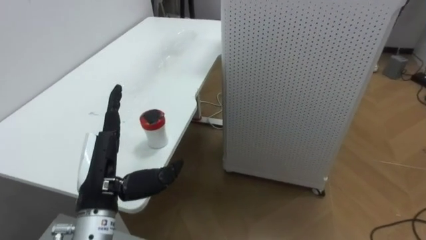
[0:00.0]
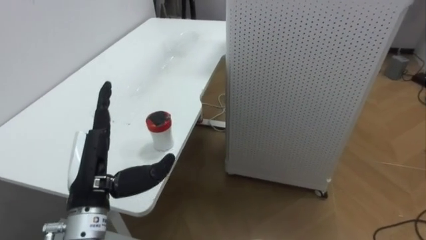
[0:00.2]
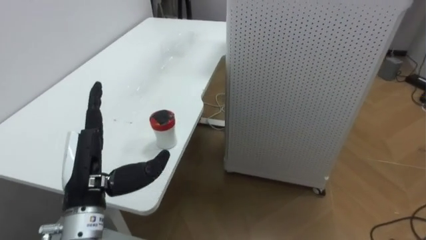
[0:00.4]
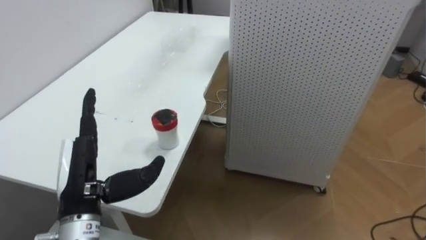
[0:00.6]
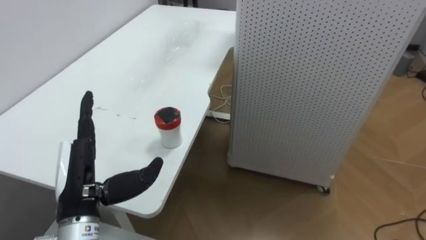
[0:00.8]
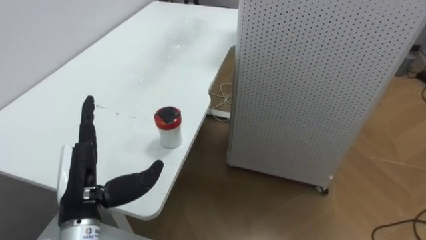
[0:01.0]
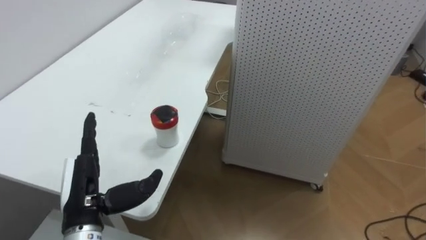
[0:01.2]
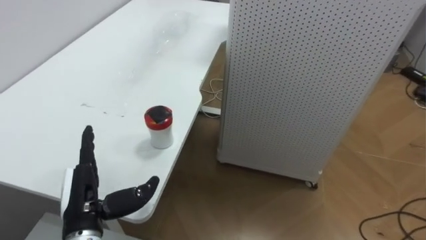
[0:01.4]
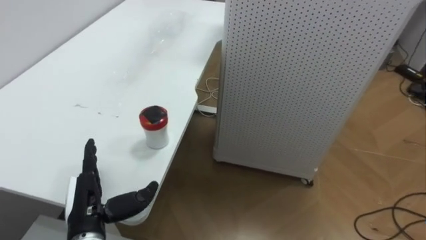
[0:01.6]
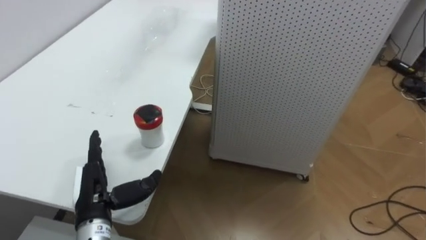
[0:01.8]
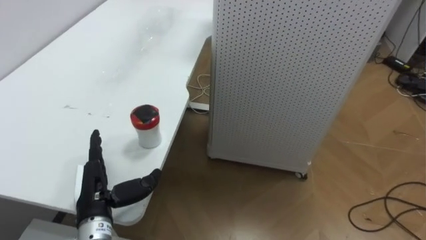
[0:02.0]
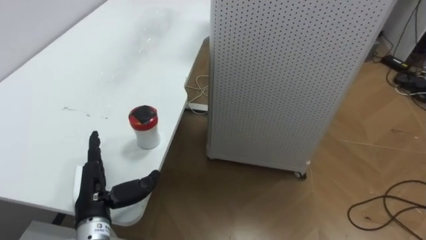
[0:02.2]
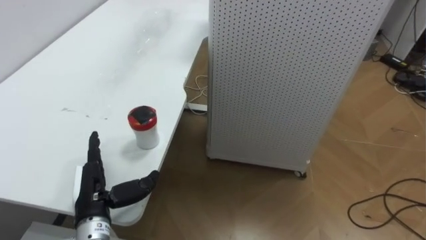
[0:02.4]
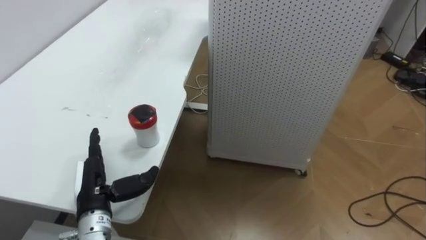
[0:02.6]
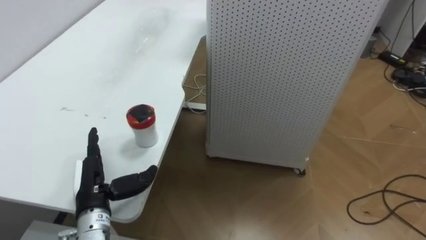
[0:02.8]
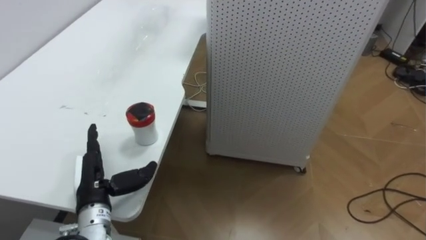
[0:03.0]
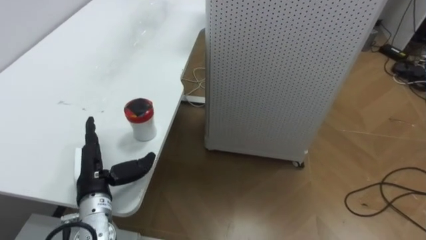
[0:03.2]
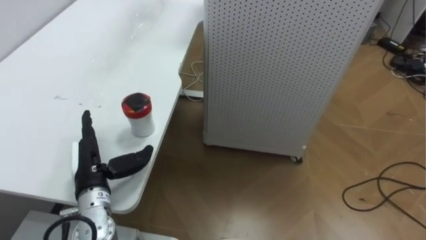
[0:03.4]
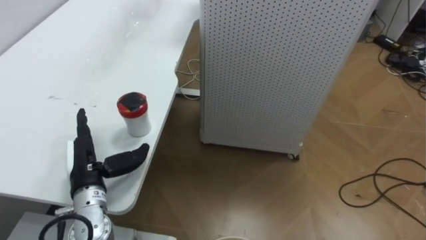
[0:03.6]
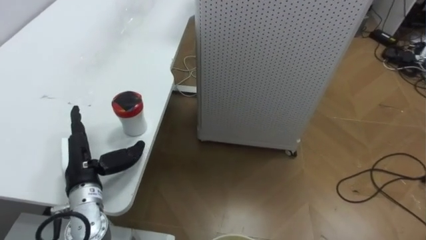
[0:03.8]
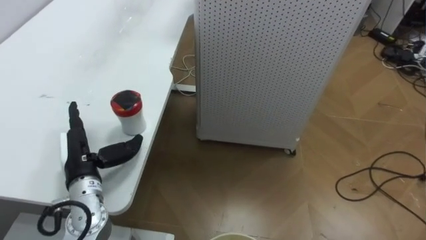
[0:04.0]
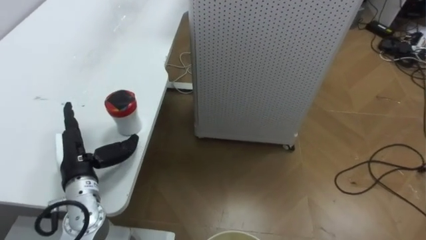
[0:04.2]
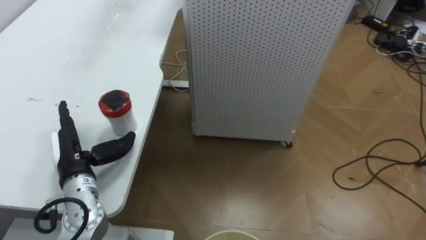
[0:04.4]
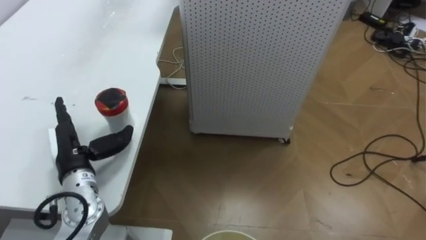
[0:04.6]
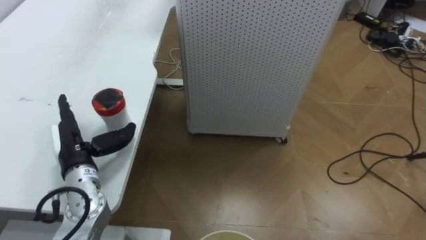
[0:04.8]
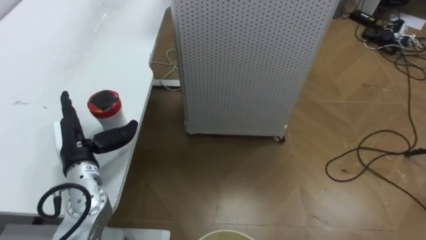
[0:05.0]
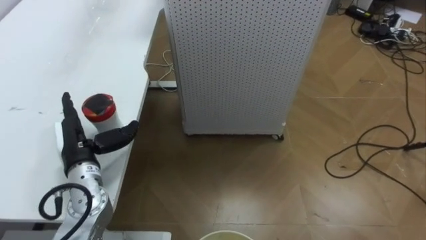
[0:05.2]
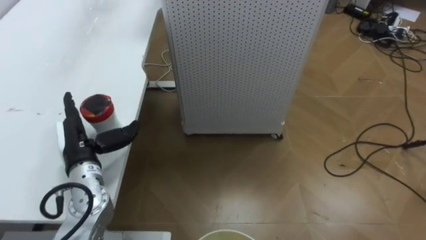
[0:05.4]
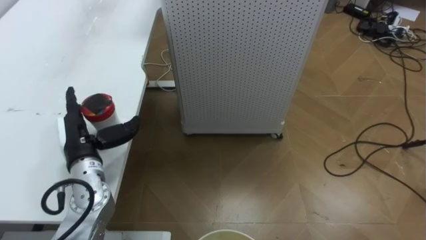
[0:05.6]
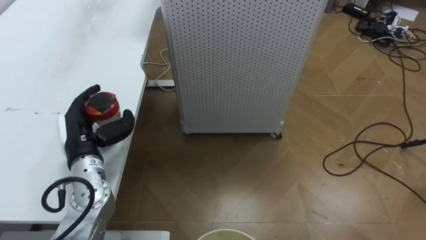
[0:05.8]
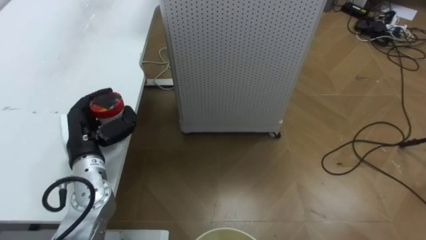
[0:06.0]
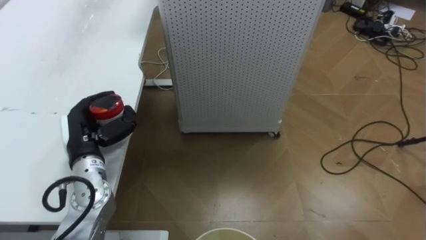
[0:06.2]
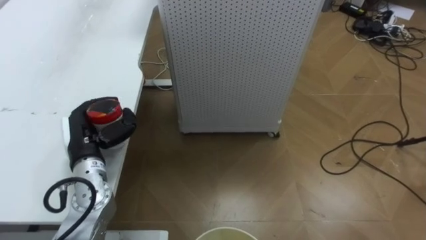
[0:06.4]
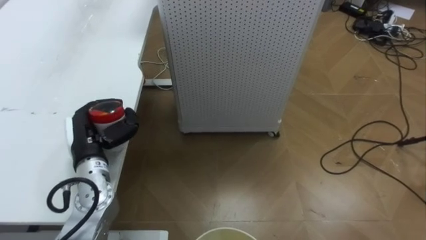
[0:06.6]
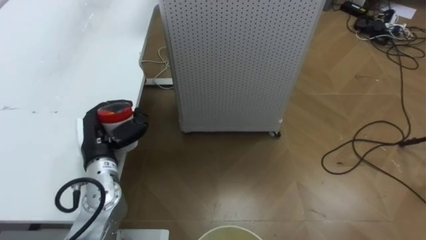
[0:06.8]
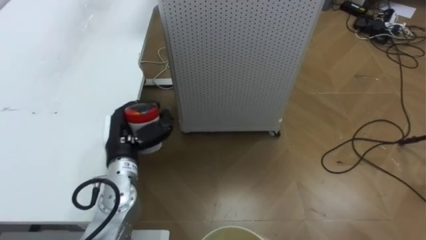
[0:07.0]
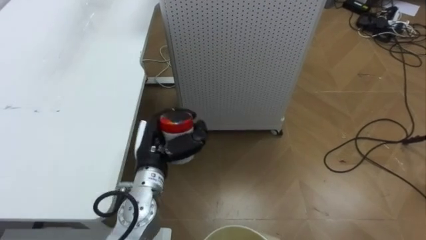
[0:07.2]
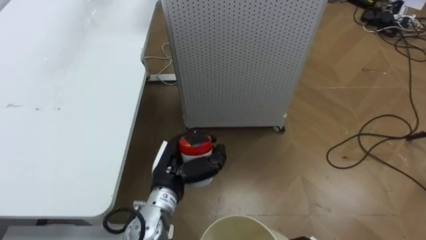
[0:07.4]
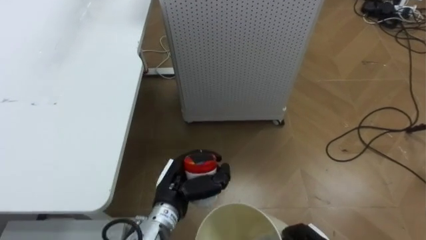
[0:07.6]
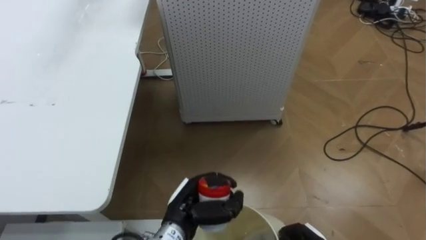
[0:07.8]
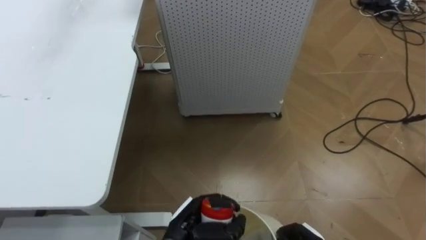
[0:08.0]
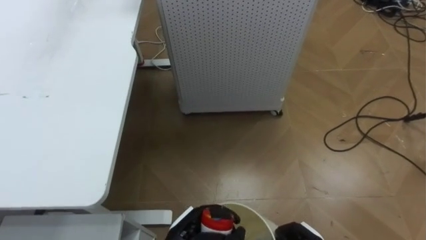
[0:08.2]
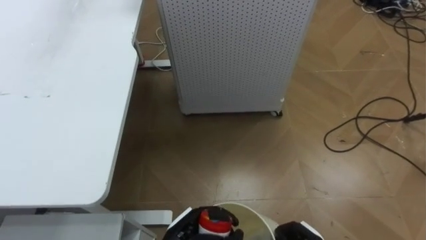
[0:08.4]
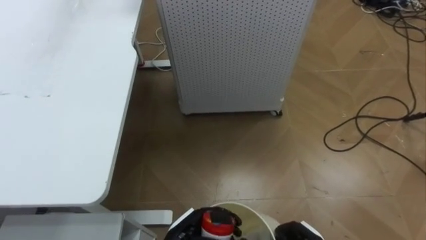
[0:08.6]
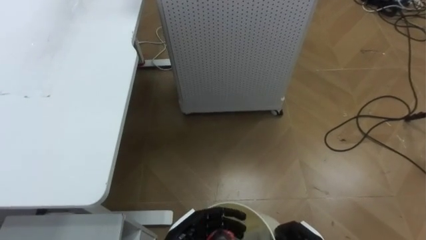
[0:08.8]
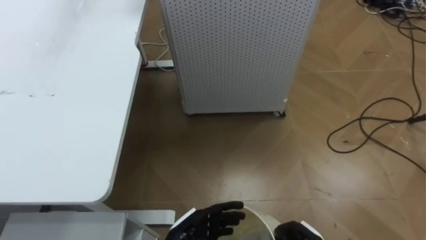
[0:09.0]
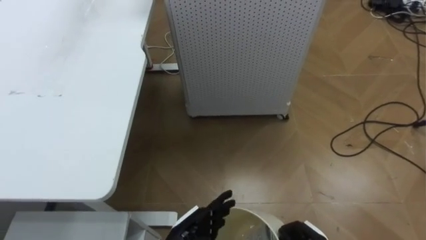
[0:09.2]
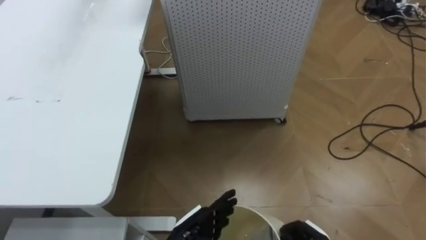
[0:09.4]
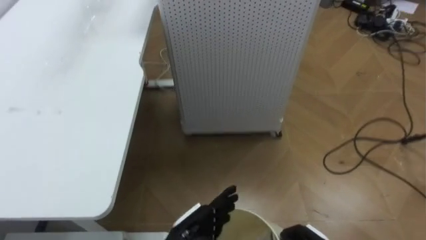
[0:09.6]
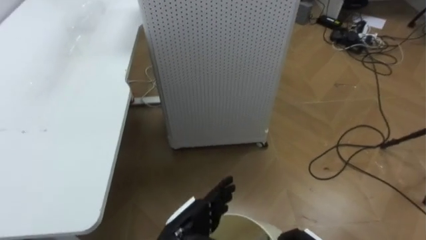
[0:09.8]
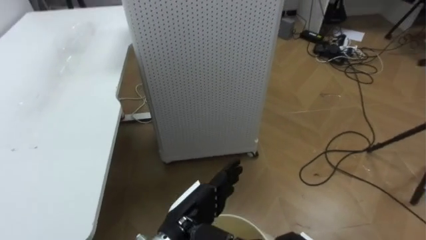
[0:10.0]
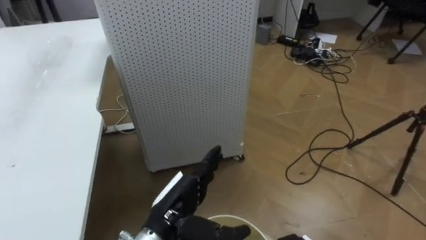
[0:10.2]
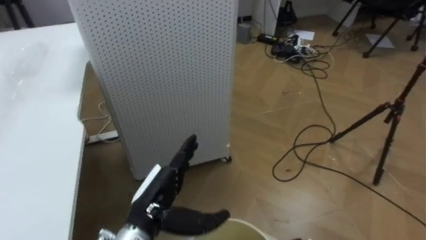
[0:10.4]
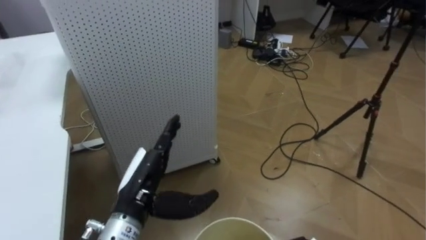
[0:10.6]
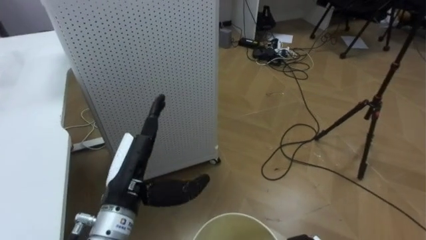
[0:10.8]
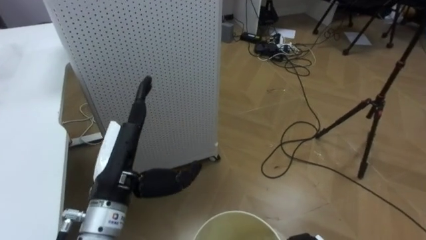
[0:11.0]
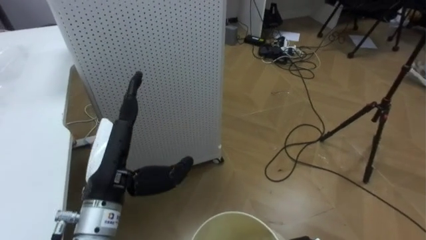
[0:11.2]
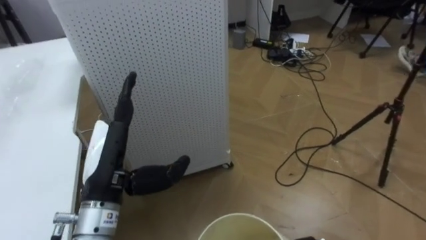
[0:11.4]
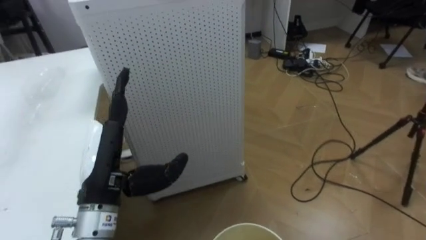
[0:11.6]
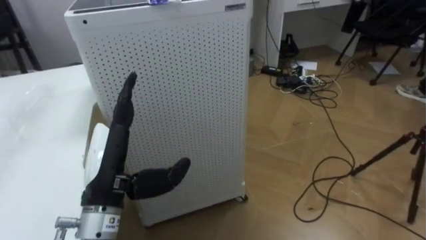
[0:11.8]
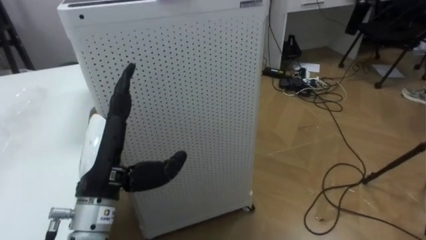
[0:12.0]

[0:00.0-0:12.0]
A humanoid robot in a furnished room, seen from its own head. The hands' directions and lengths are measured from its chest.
Task of the whole recording: Pick up the light blue package, the candy box, and the dark blue package separately, and put them into the trash can held in your right hand.
0:00.0 to 0:01.6: The left hand moves downward, approximately 10 cm.
0:03.0 to 0:04.4: The left hand moves approximately 5 cm.
0:04.4 to 0:06.0: The left hand closes up.
0:06.0 to 0:07.6: The left hand shifts roughly 20 cm to the right and downward.
0:07.6 to 0:09.0: The left hand goes about 10 cm downward and backward, and opens.
0:09.0 to 0:10.4: The robot rotates about 20 degrees to its right. The left hand travels upward and to the left by roughly 10 cm.
0:10.4 to 0:12.0: The left hand moves upward and to the left, roughly 10 cm.

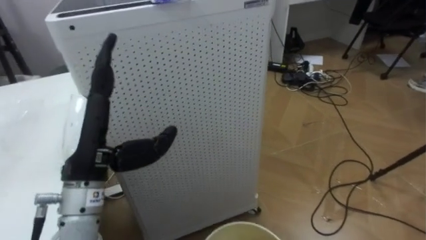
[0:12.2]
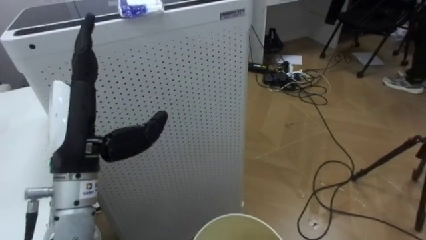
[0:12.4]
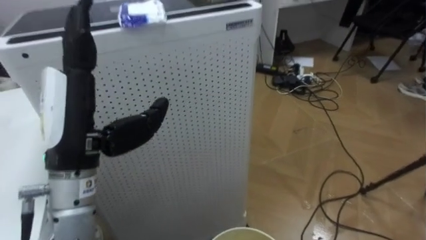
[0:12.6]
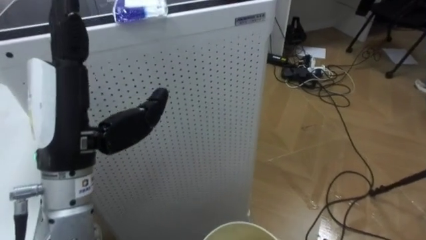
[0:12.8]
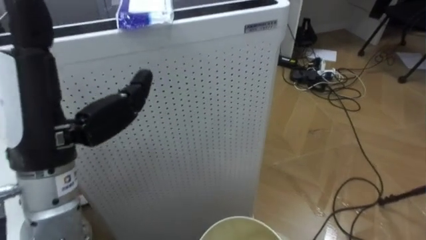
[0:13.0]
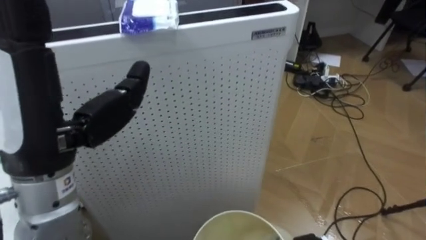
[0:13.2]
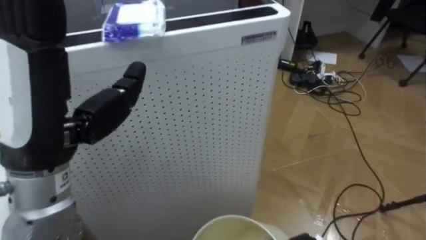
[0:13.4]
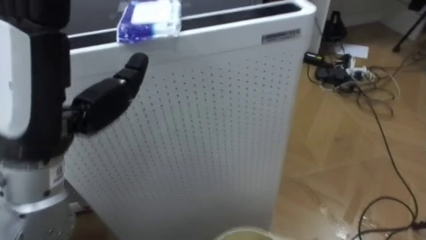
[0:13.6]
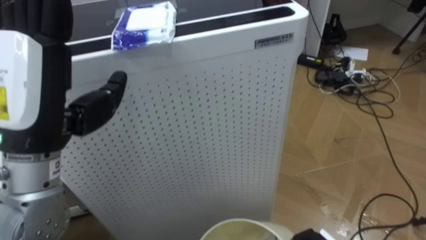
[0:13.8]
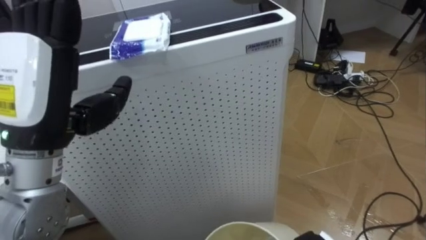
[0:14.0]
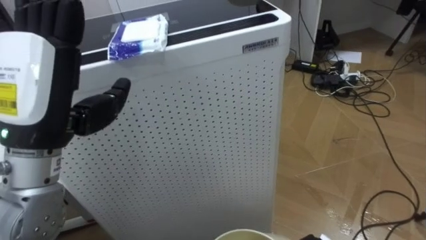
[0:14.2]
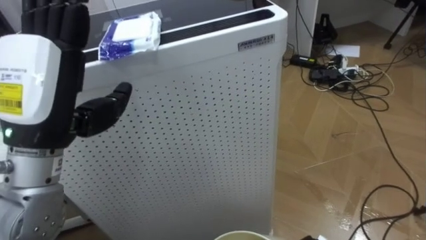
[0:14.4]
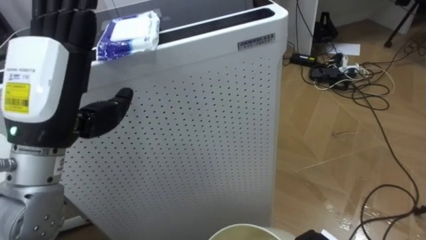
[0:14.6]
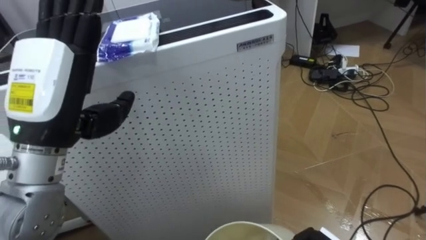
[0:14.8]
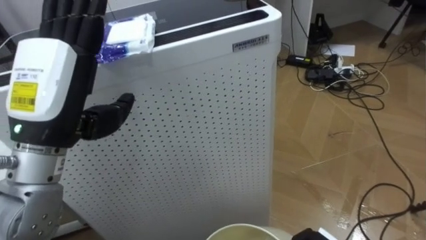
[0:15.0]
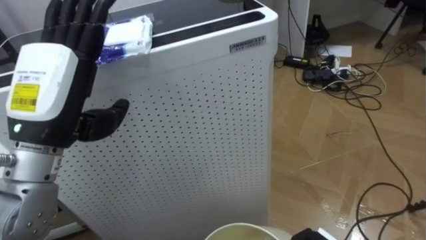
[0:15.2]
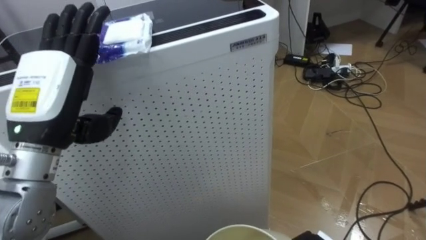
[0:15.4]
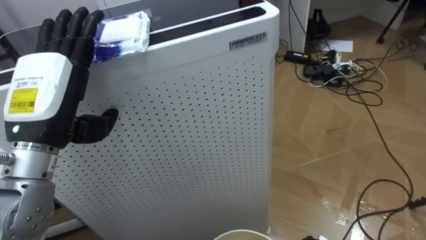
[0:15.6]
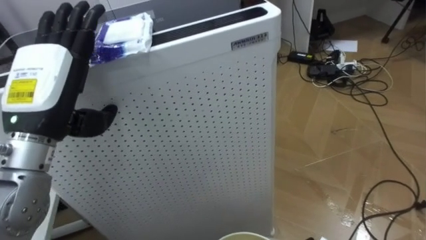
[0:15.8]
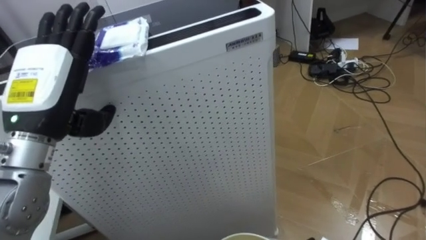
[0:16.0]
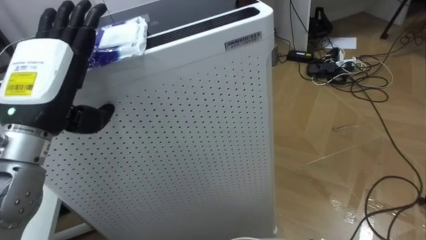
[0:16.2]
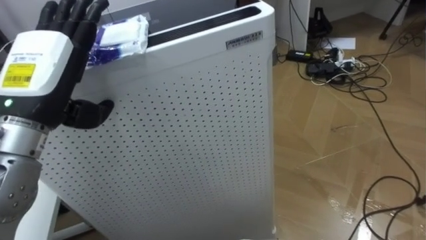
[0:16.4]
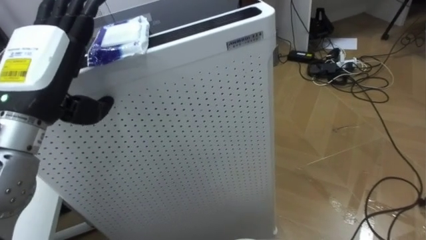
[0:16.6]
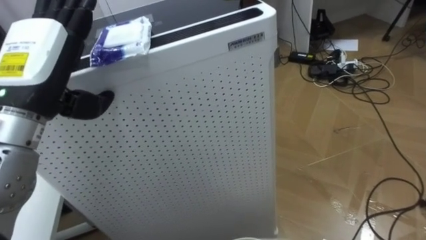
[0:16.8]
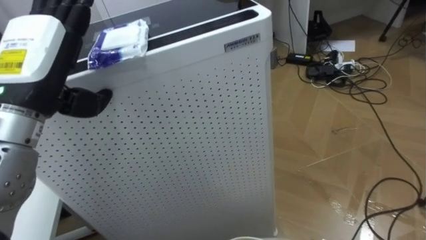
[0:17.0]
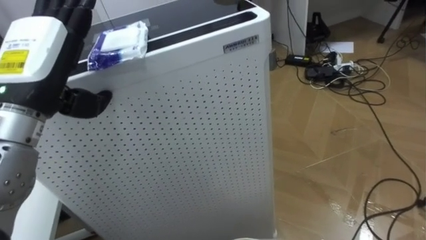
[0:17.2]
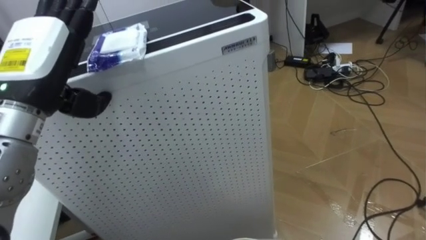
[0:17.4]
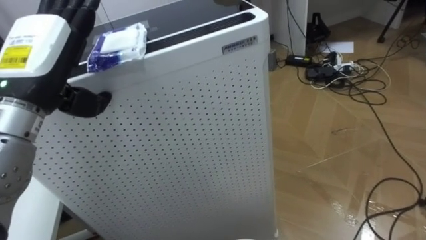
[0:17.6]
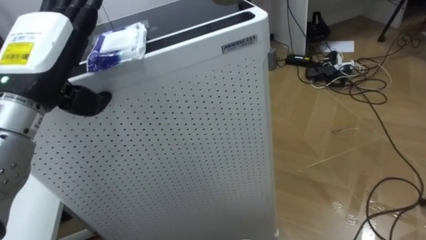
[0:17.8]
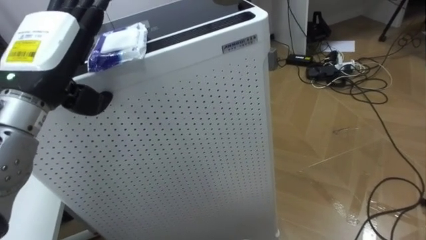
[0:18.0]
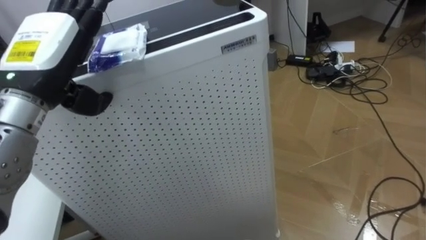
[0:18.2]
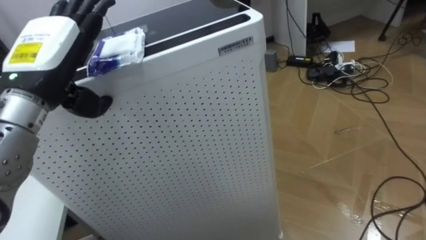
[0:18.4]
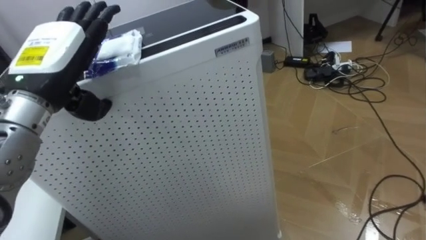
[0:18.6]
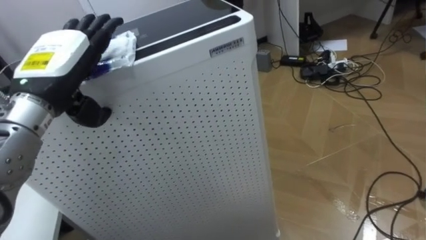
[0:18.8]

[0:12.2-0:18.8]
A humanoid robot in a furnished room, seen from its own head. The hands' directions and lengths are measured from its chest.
Task of the whole recording: Pick up the light blue package, the candy box, and the dark blue package separately, and put them into the trash can held in your right hand.
0:12.2 to 0:13.8: The left hand shifts approximately 10 cm upward.
0:13.8 to 0:15.4: The left hand shifts by roughly 5 cm.
